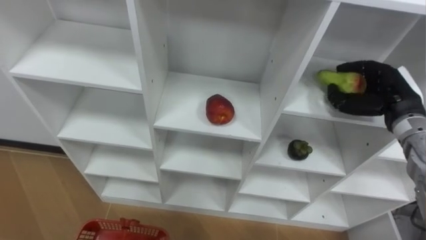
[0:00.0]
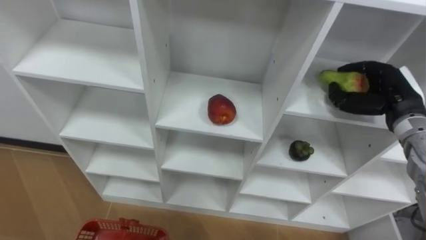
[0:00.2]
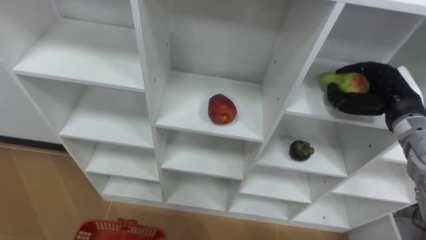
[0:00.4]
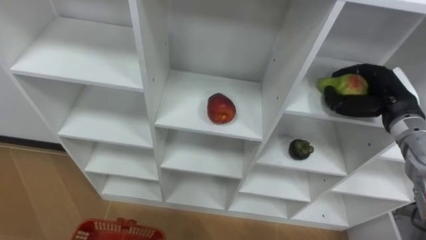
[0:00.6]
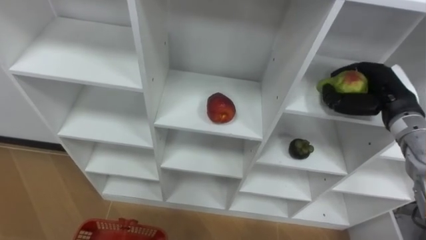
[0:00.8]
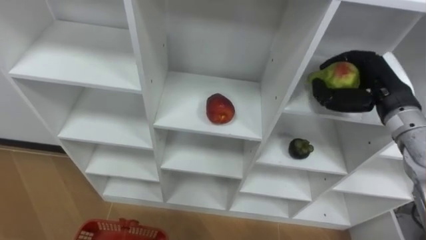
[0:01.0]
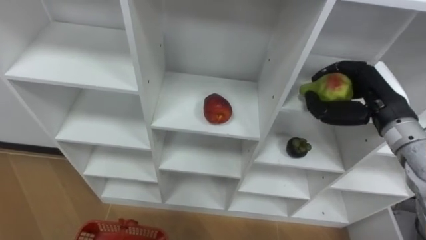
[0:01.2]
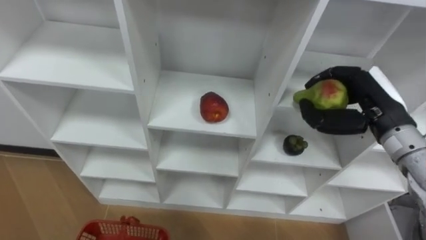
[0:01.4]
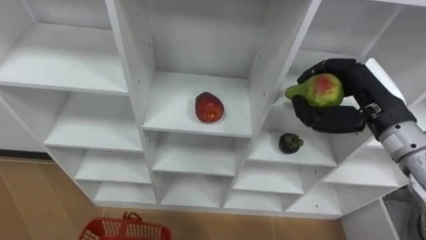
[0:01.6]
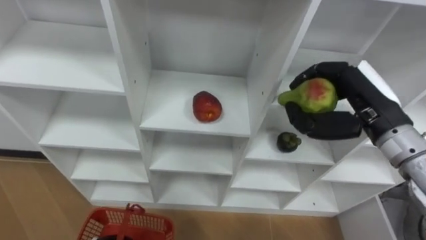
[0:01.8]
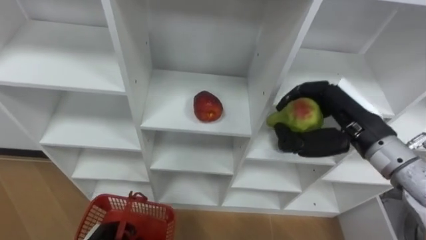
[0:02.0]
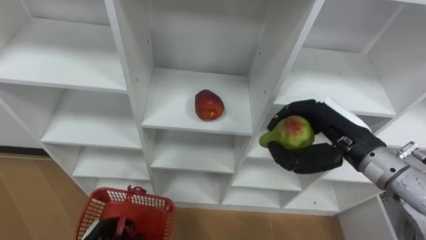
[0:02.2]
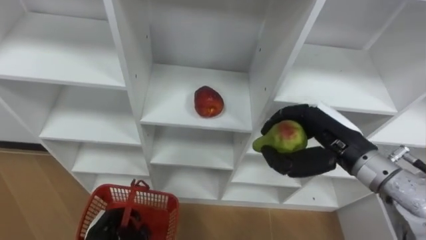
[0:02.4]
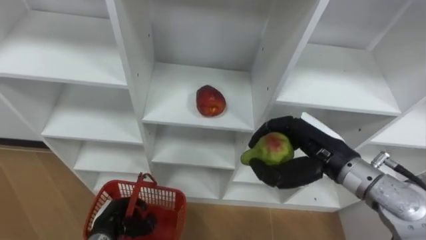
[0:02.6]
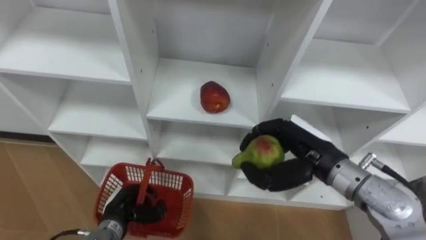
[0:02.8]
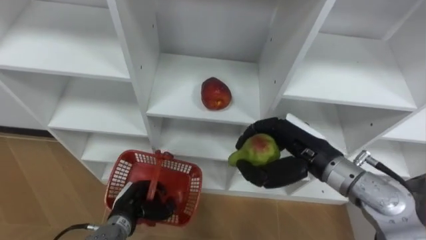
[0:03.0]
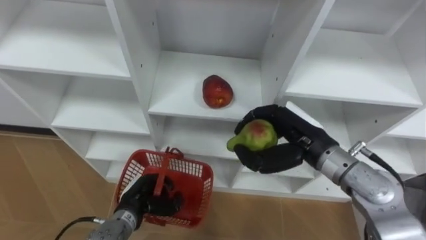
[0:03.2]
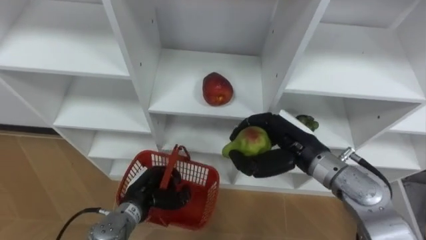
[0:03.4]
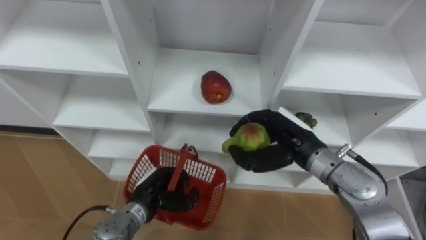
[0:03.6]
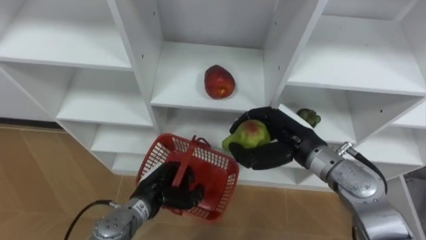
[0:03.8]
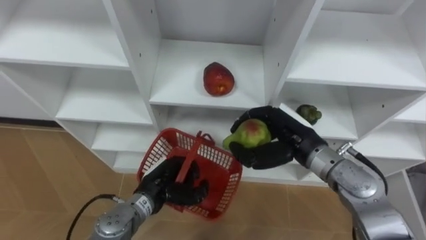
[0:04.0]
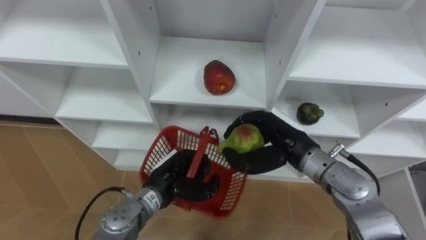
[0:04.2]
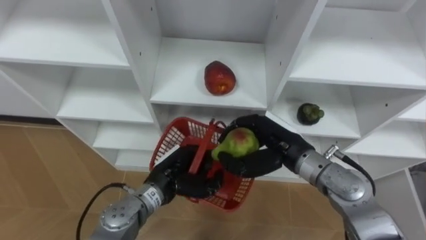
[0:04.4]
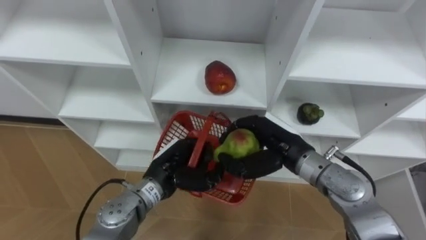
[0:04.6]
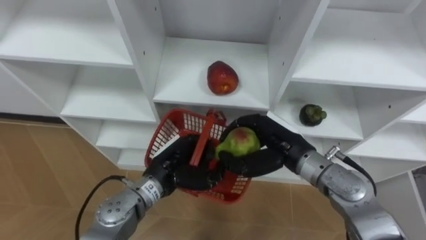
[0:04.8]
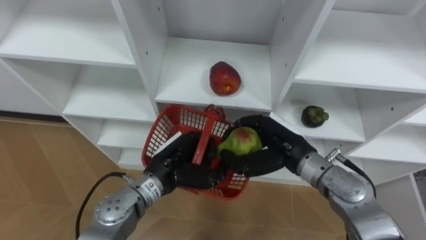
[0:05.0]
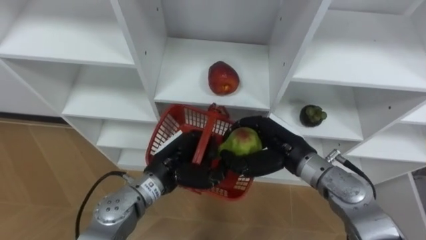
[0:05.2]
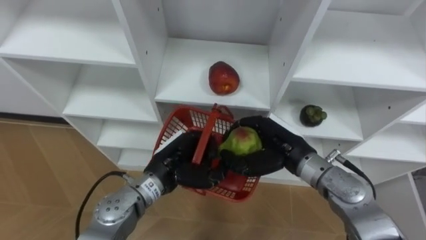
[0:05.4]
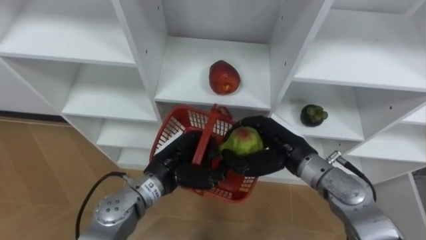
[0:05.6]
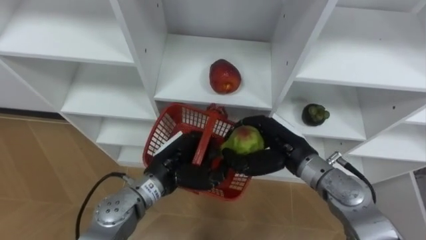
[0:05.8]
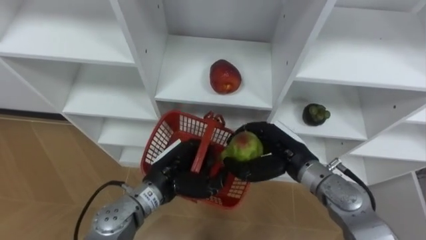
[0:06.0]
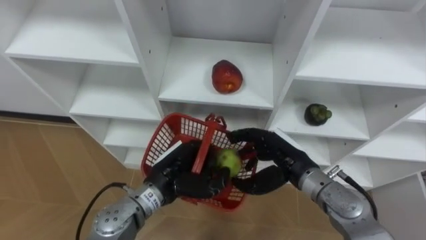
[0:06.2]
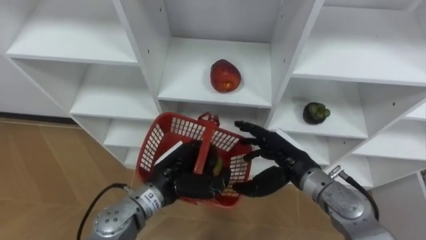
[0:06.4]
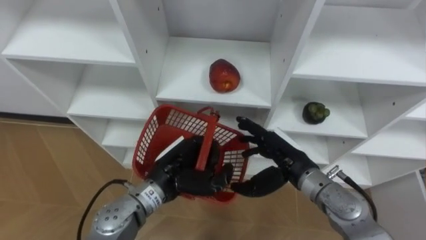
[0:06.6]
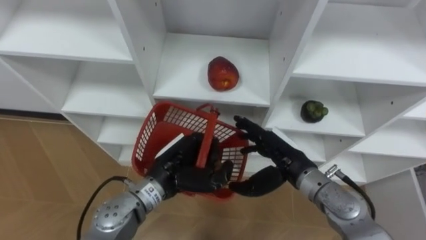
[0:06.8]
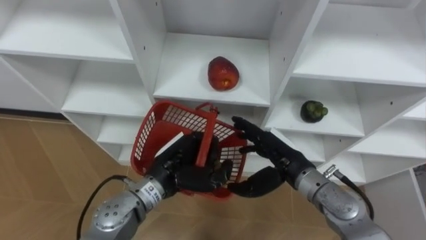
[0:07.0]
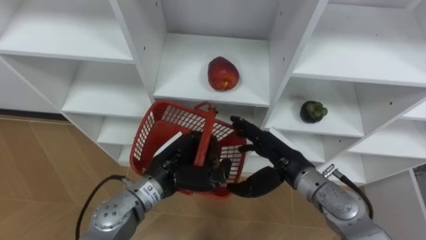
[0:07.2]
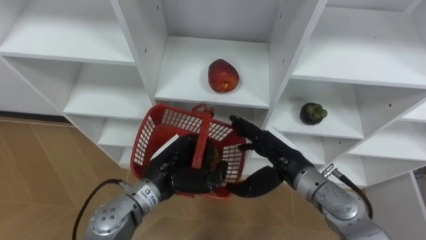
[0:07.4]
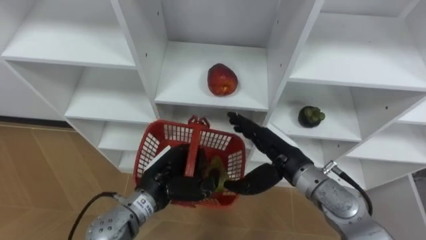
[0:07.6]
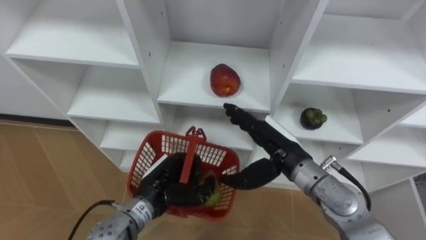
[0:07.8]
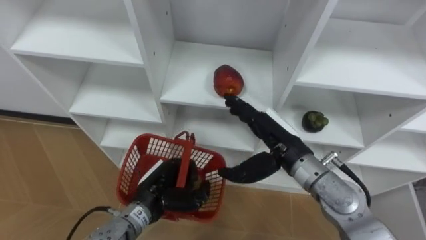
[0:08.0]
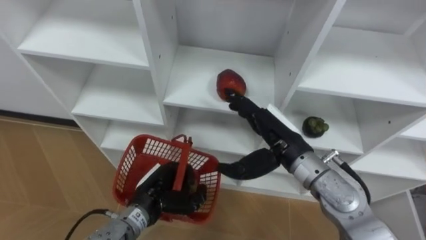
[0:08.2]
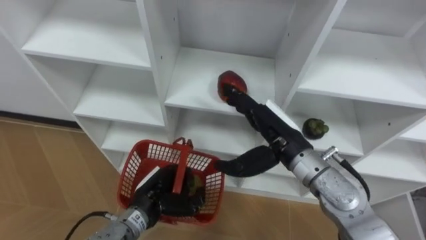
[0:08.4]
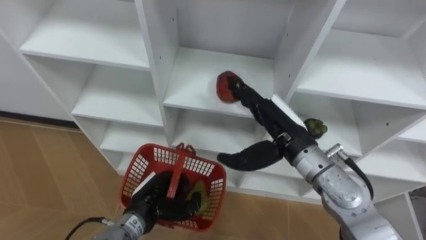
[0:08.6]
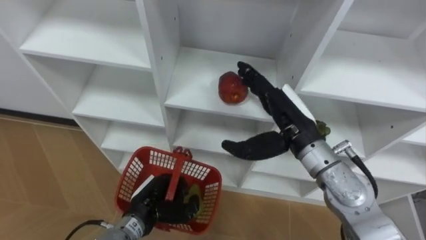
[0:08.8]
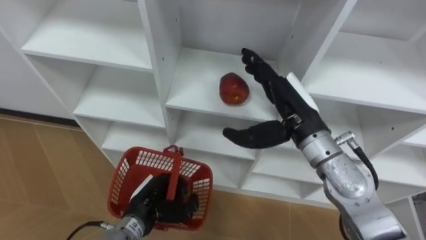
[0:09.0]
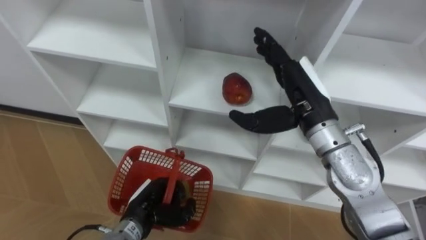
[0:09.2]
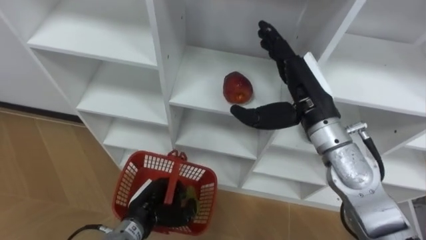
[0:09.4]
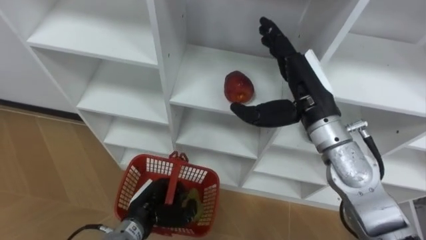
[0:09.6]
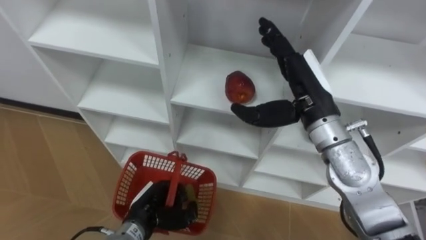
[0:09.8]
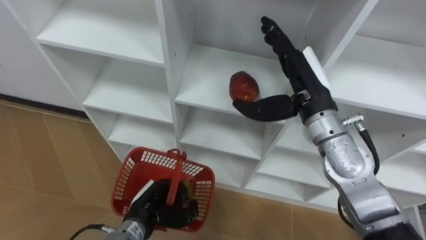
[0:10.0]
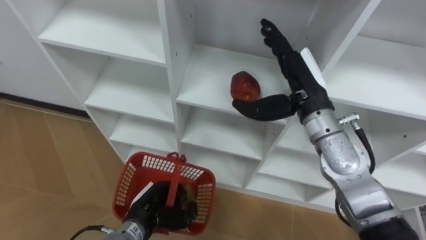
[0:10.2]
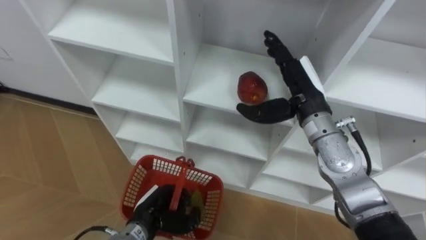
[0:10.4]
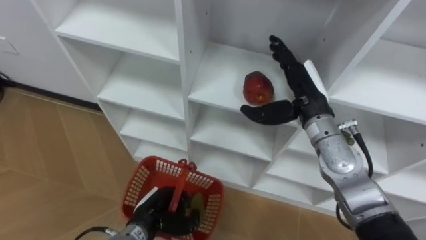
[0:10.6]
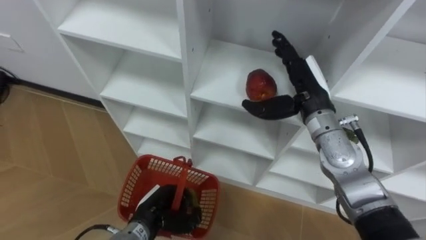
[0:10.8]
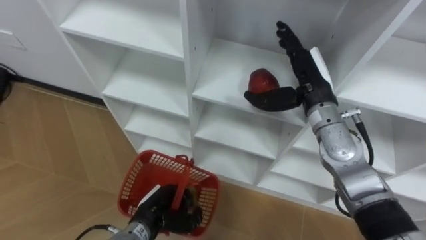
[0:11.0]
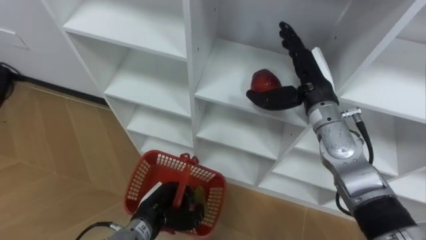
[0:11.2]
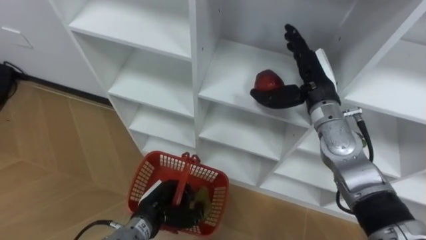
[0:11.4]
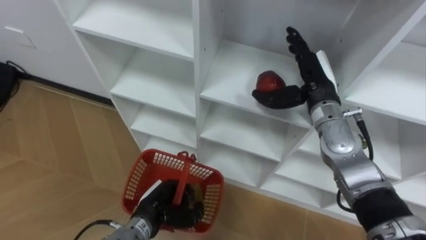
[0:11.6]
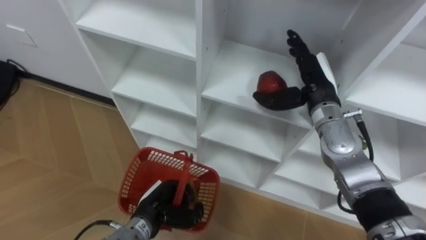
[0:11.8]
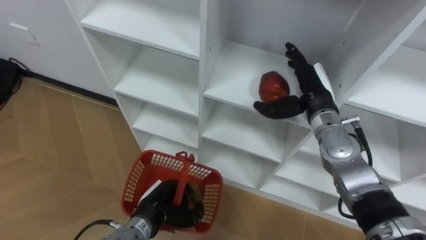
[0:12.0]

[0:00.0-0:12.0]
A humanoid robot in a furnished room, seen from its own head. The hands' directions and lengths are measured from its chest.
Task of the whole recording: Hold the basket and collect the fruits from 3 different cells of the closet into it.
0:00.0 to 0:01.6: The right hand heads to the left and upward, covering roughly 10 cm.
0:01.6 to 0:03.0: The right hand travels to the left and downward by approximately 10 cm.
0:03.0 to 0:04.4: The left hand travels to the right and upward by some 15 cm.
0:04.4 to 0:06.0: The hands make only small movements.
0:06.0 to 0:07.6: The right hand opens its fingers.
0:07.6 to 0:09.0: The left hand travels downward by roughly 5 cm, while the right hand moves upward, roughly 10 cm.
0:09.0 to 0:10.4: The right hand moves roughly 5 cm.
0:10.4 to 0:12.0: The right hand changes place by some 5 cm.

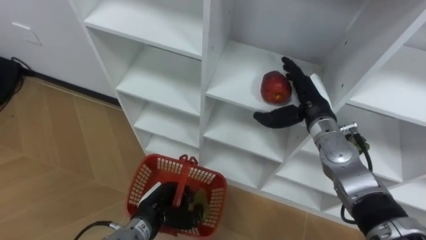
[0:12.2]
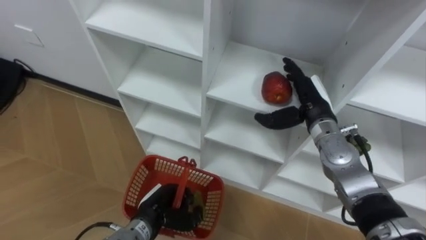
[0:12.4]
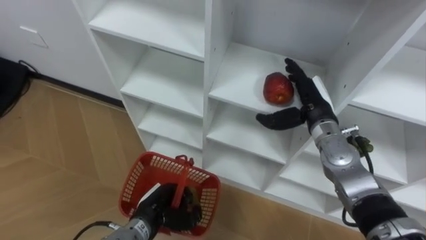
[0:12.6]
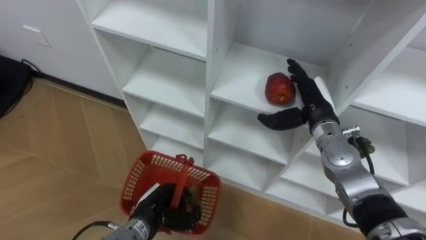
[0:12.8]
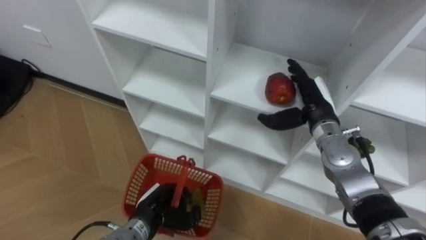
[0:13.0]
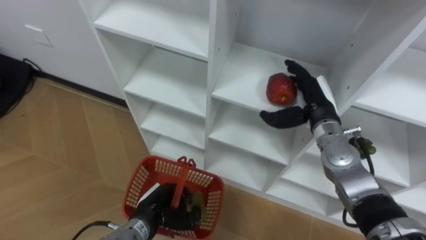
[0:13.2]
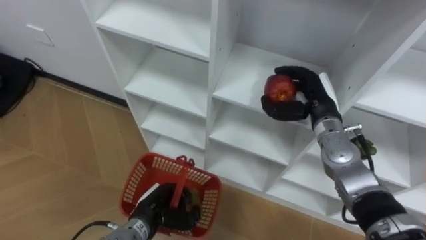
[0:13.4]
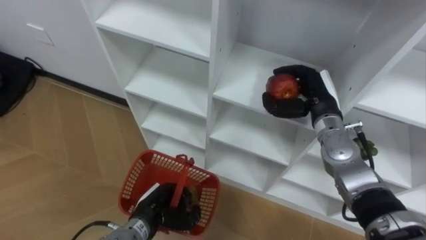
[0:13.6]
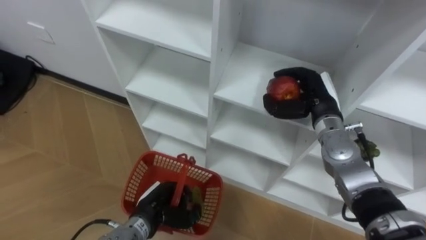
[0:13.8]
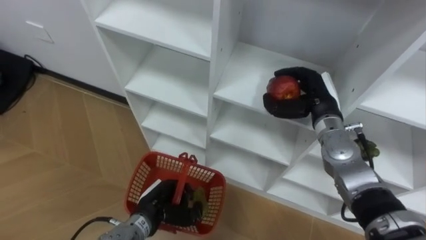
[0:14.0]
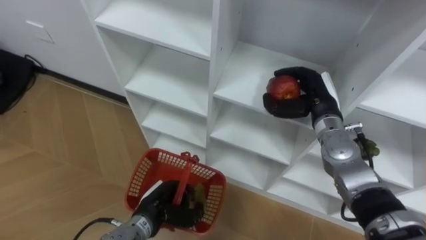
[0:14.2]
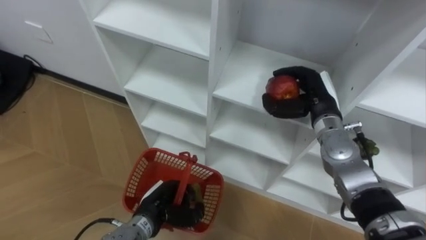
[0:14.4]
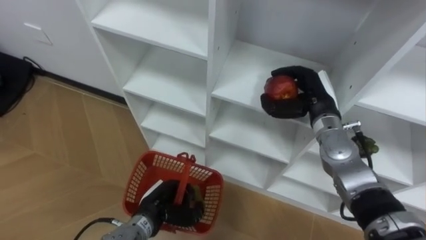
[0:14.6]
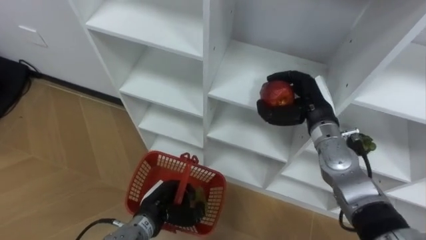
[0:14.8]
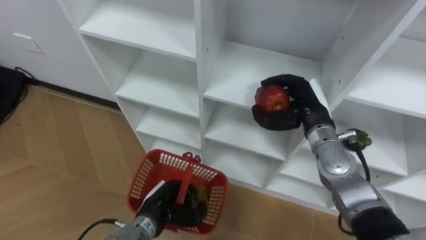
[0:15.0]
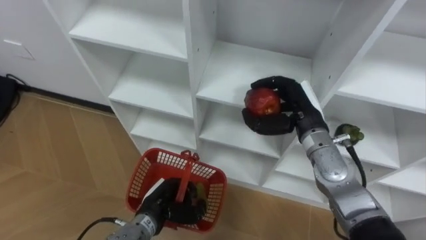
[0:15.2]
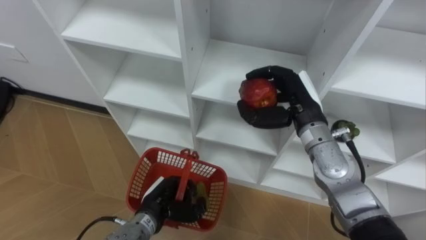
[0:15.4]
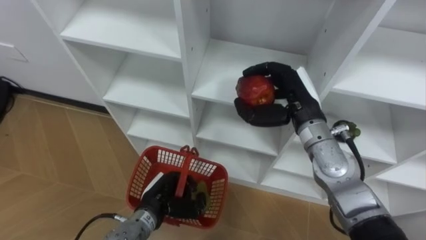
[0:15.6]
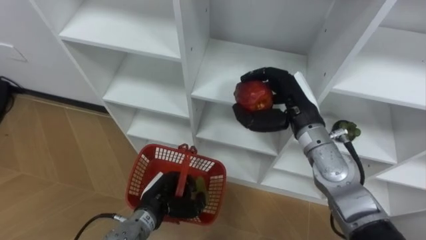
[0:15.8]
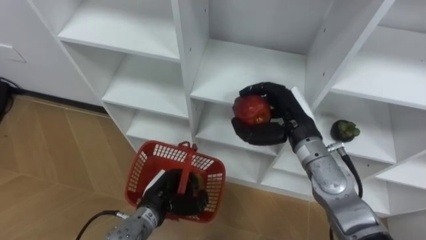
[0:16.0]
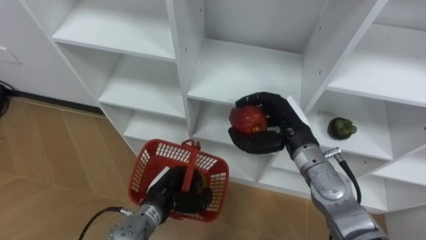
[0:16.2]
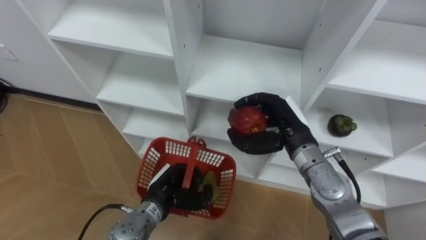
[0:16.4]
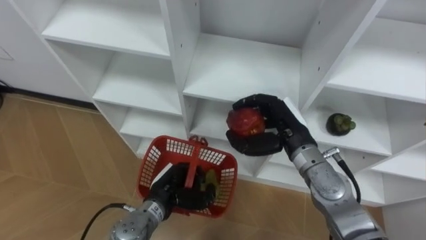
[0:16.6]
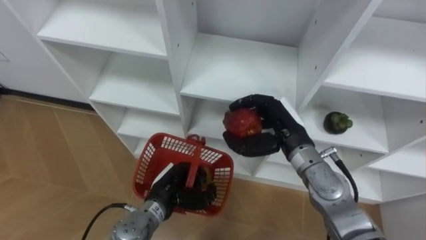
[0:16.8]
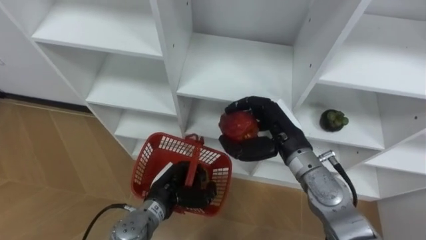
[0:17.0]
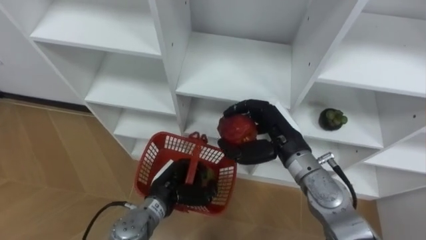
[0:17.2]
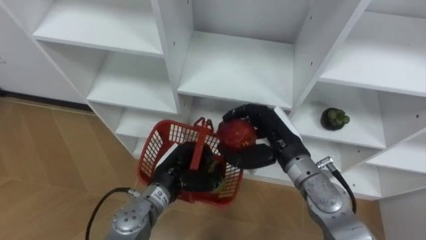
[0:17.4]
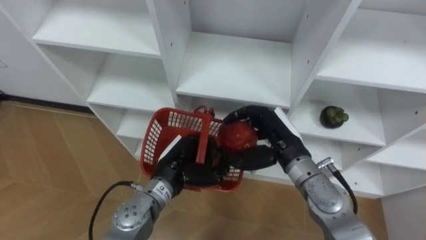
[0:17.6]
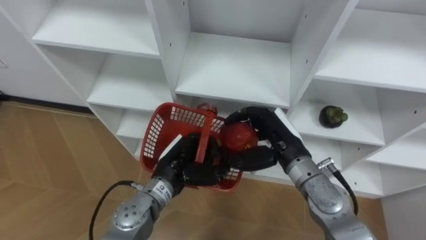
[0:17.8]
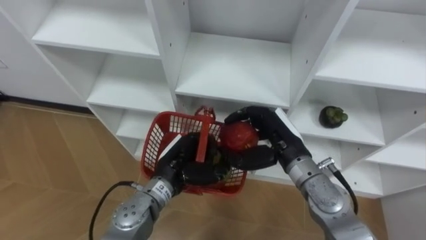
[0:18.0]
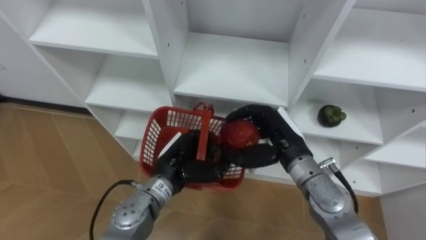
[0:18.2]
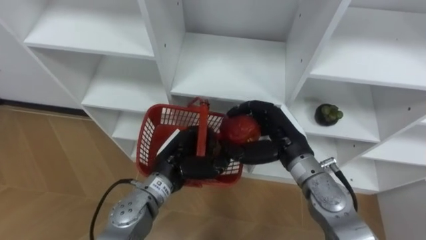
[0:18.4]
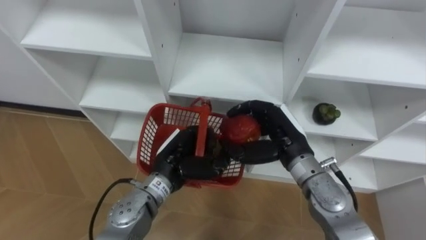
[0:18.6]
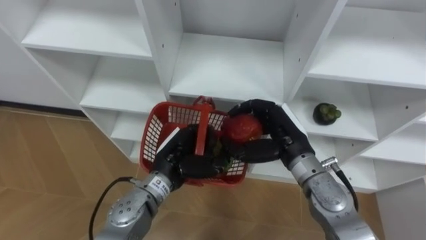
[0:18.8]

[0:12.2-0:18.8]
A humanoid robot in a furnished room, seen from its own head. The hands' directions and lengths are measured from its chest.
Task of the whole recording: Hold the basket and collect the fruits from 3 different cells of the closet into it.
0:12.2 to 0:13.8: The right hand closes its fingers.
0:13.8 to 0:15.4: The right hand ends up approximately 5 cm from where it was.
0:15.4 to 0:17.2: The right hand shifts by roughly 5 cm.
0:17.2 to 0:18.8: The left hand is displaced upward by approximately 10 cm.
